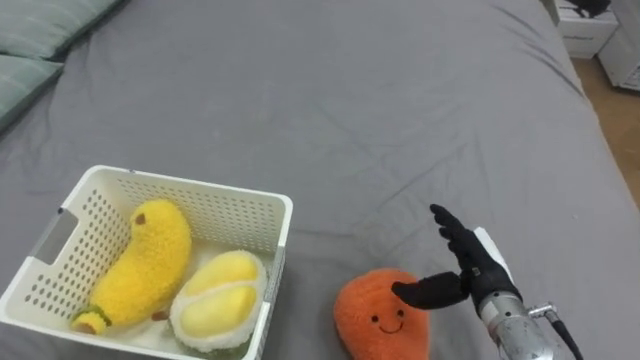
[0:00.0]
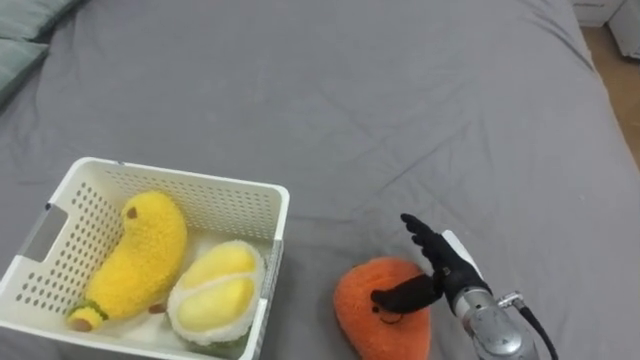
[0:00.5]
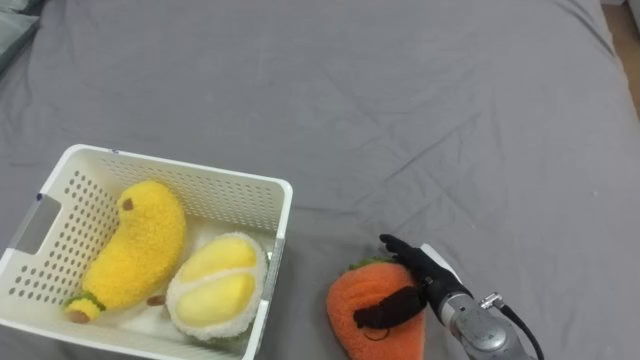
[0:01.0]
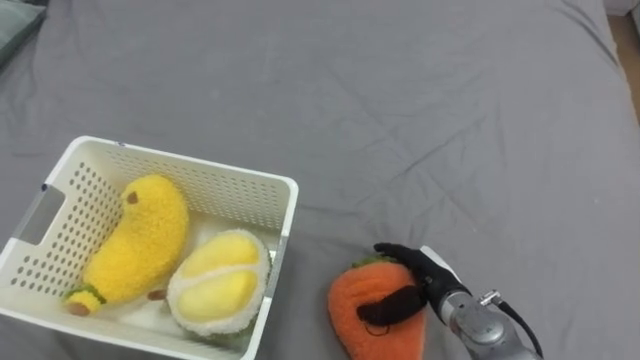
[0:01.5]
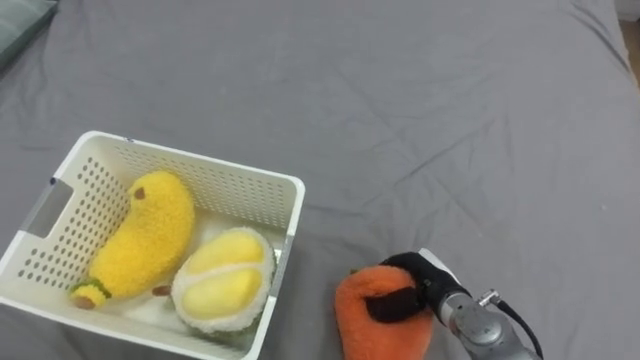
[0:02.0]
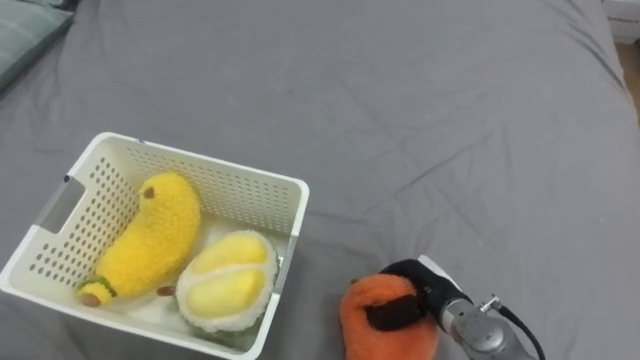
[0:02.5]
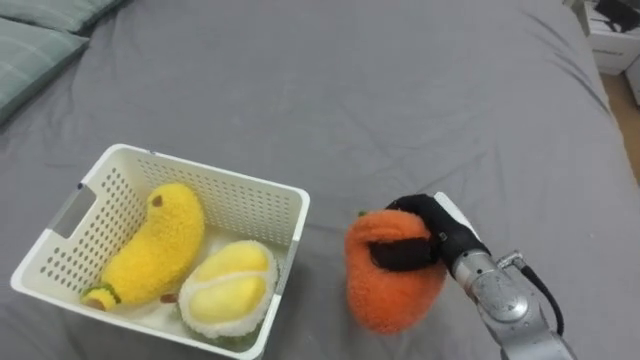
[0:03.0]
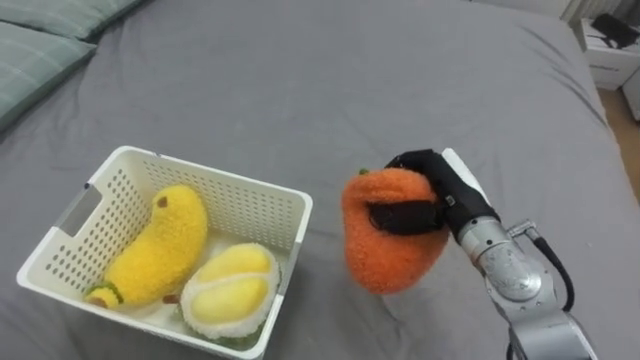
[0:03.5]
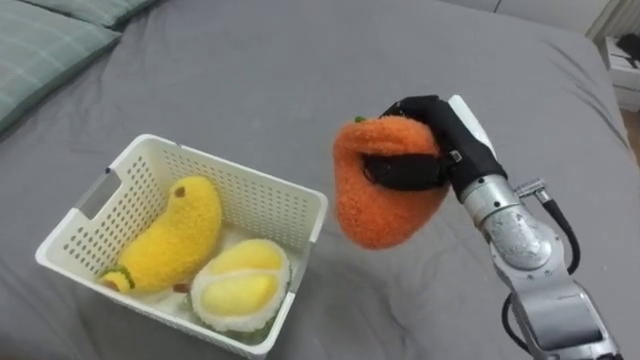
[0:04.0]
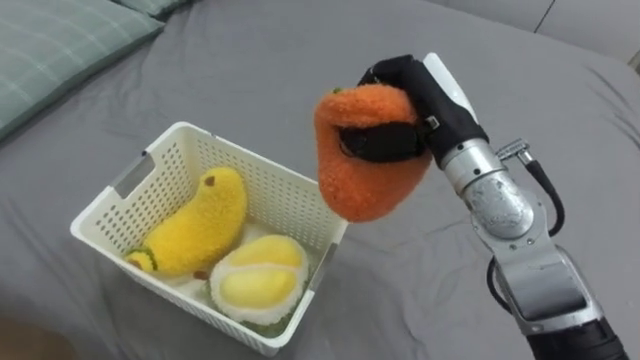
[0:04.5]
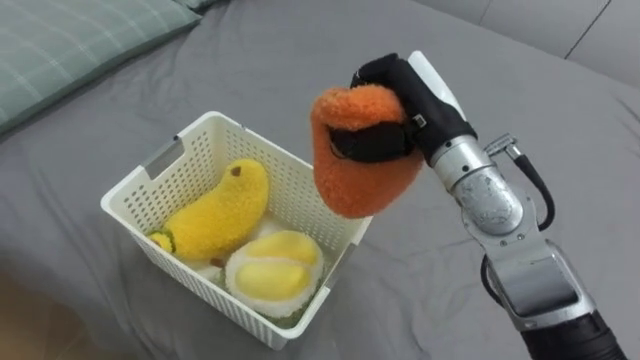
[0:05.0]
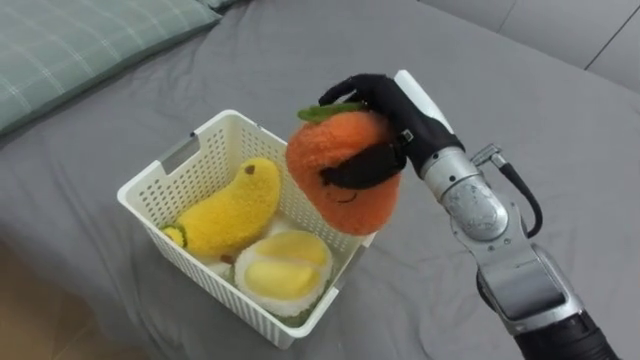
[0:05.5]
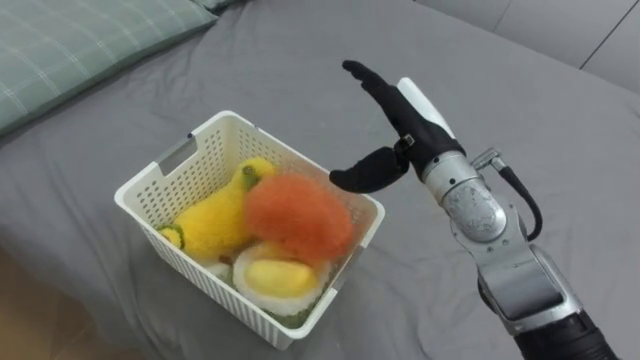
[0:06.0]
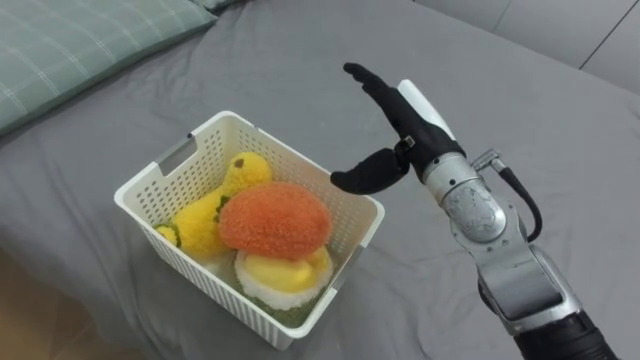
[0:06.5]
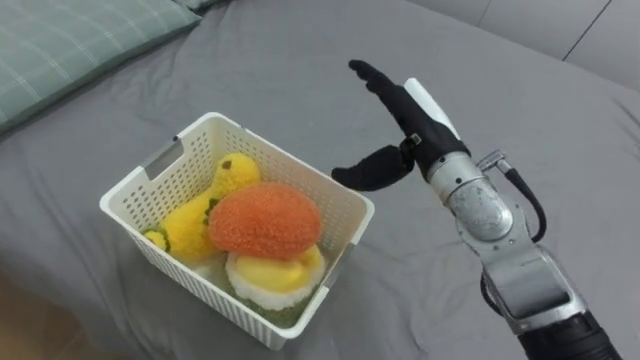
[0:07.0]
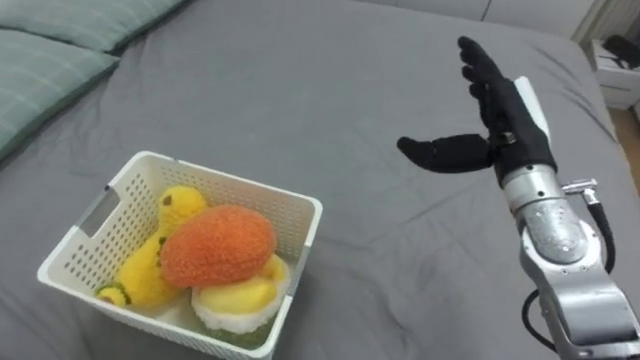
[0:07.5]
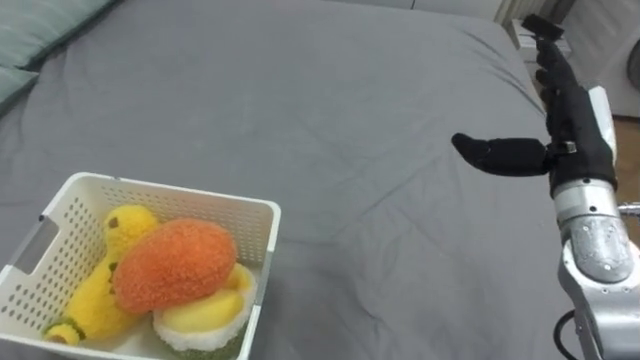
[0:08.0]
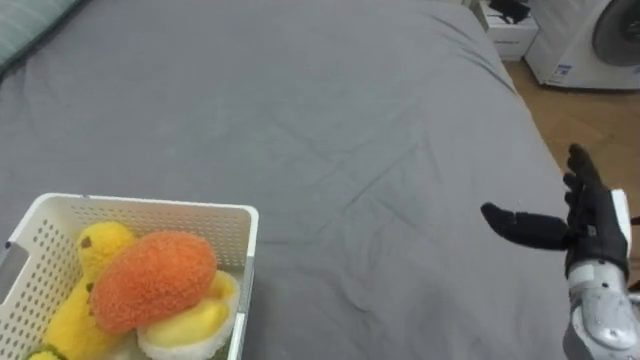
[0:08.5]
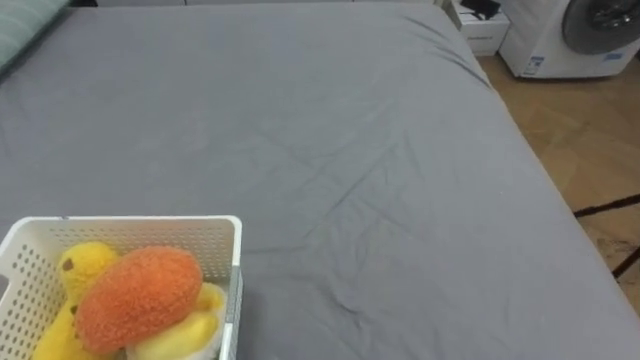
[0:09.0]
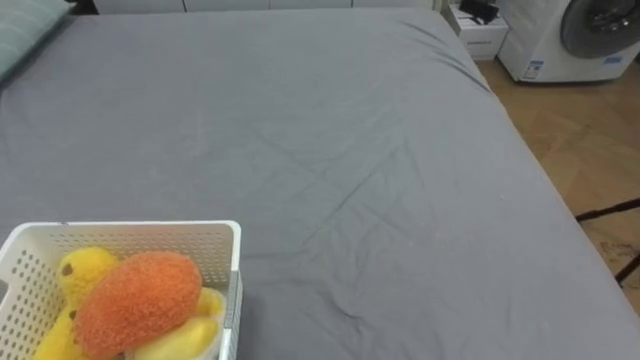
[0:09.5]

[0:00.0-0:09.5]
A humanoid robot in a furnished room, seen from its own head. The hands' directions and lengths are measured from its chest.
Task of the whole recording: Put the toys on the bed into the basket on the left.
0:00.0 to 0:02.0: The right hand goes roughly 10 cm downward and to the left, and closes.
0:02.0 to 0:04.0: The right hand is displaced upward by about 20 cm.
0:04.0 to 0:05.5: The right hand goes approximately 5 cm to the left.
0:05.5 to 0:07.5: The right hand is displaced to the right by roughly 10 cm, and opens its fingers.

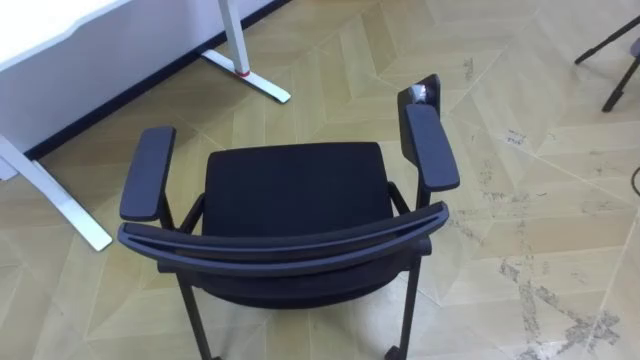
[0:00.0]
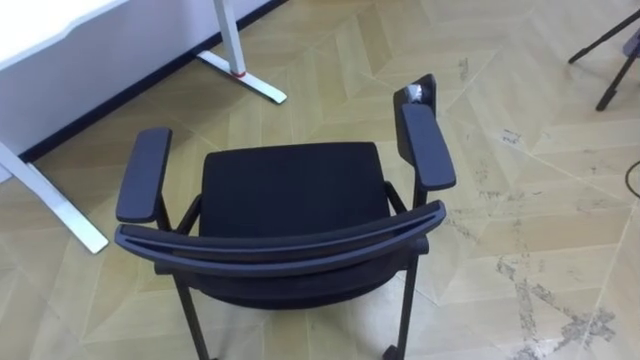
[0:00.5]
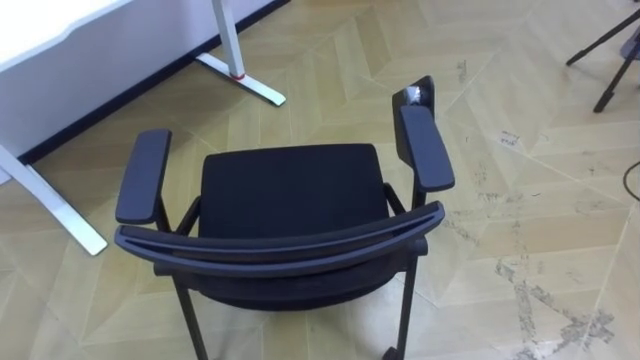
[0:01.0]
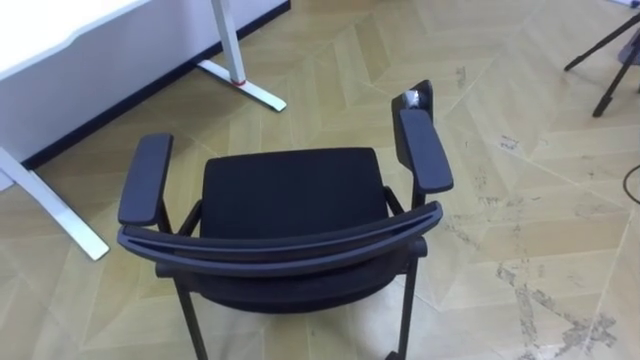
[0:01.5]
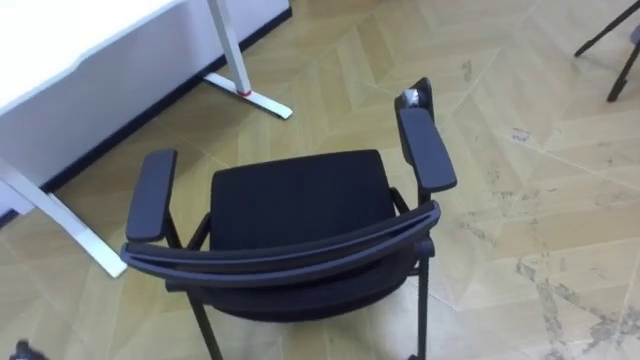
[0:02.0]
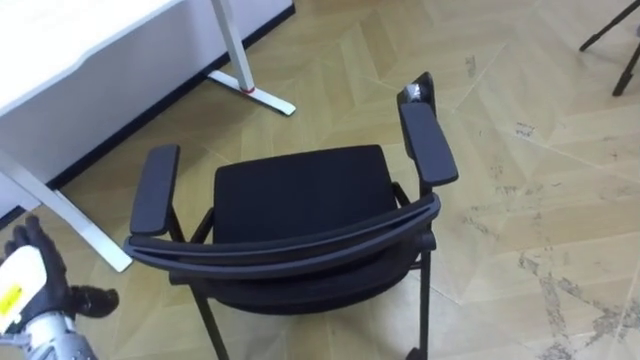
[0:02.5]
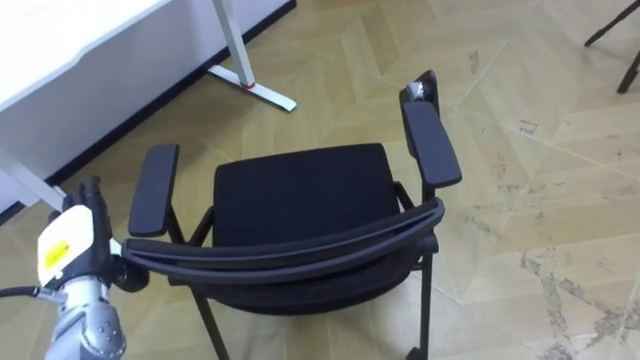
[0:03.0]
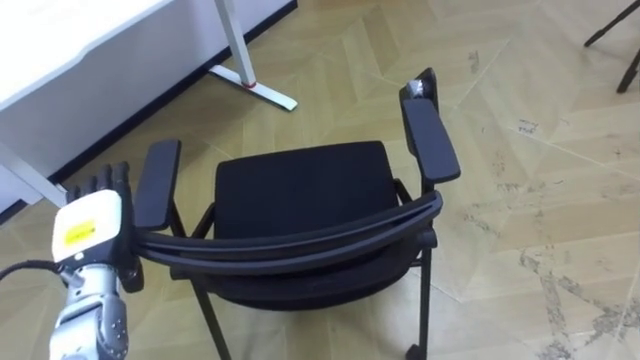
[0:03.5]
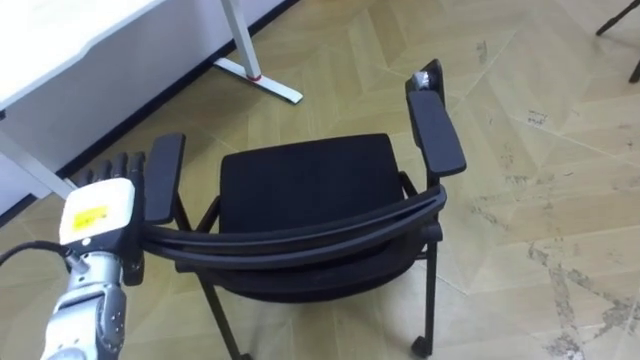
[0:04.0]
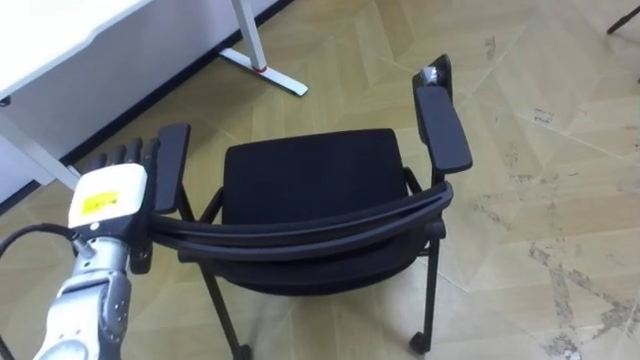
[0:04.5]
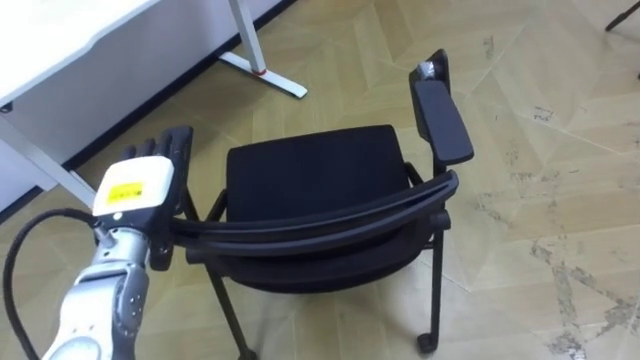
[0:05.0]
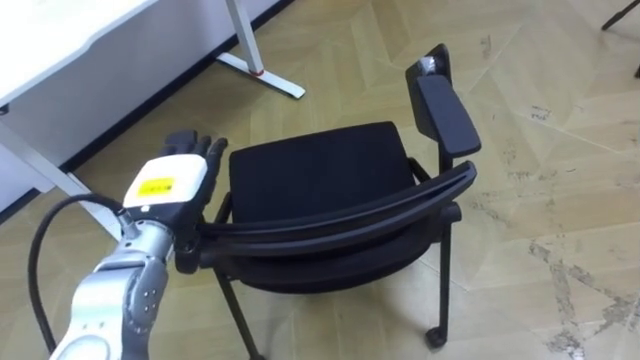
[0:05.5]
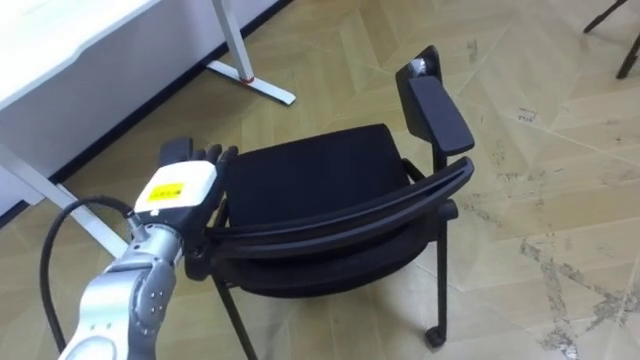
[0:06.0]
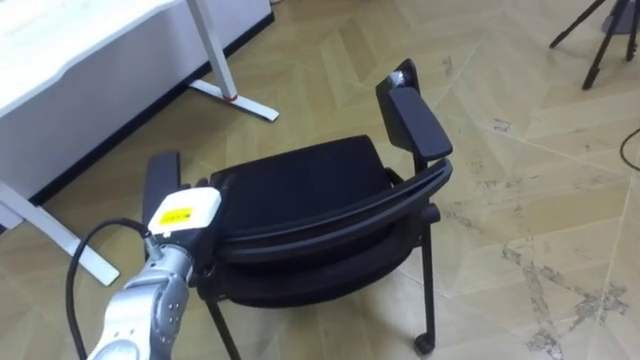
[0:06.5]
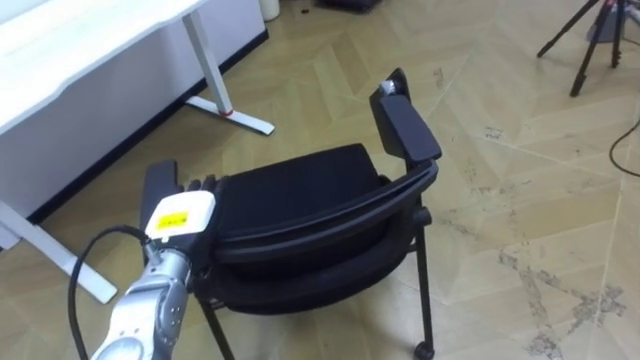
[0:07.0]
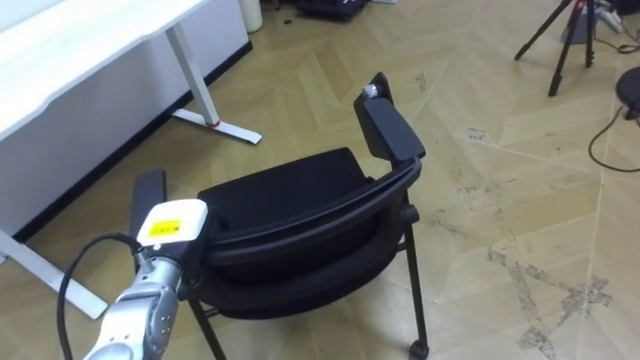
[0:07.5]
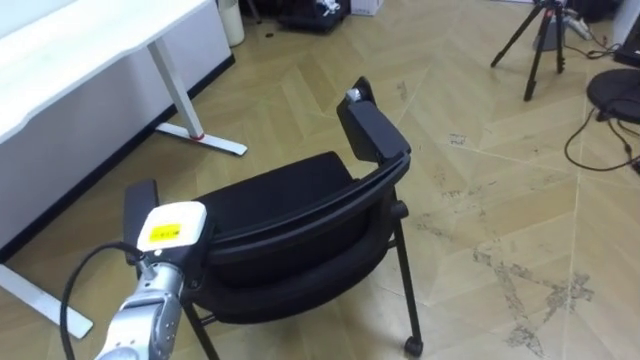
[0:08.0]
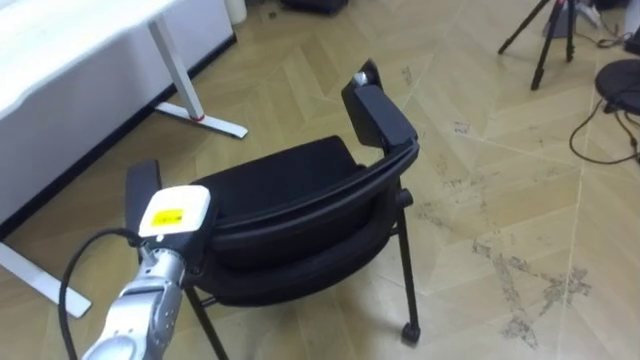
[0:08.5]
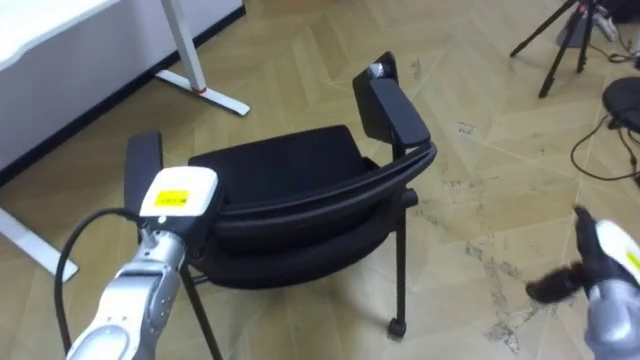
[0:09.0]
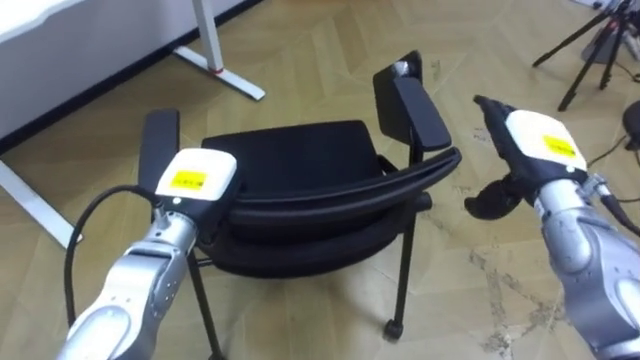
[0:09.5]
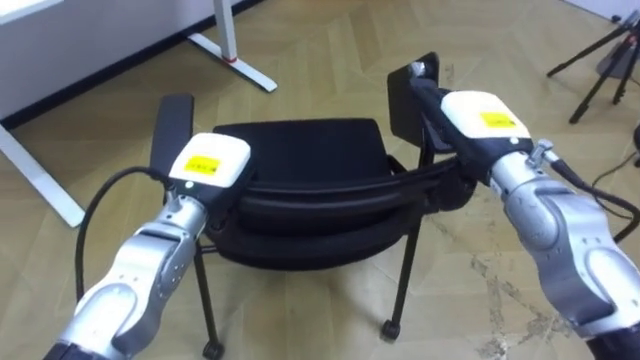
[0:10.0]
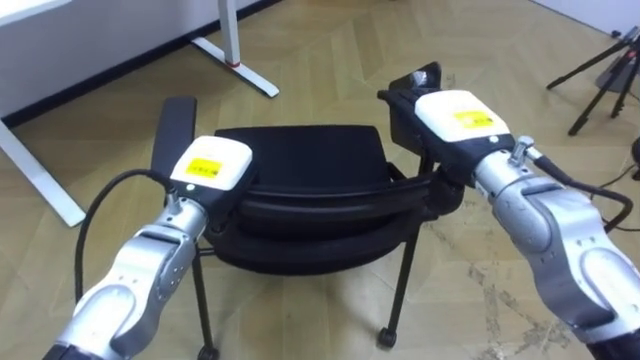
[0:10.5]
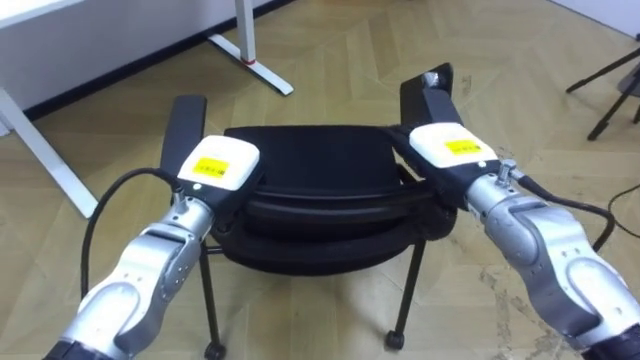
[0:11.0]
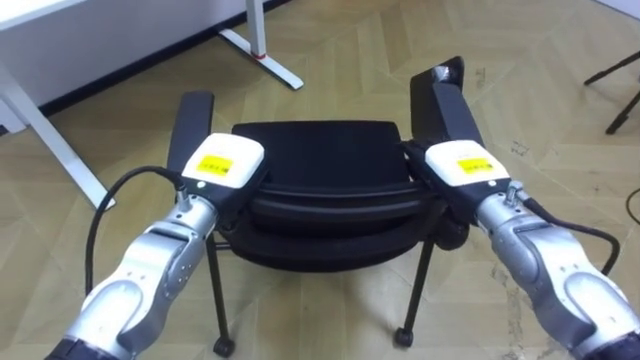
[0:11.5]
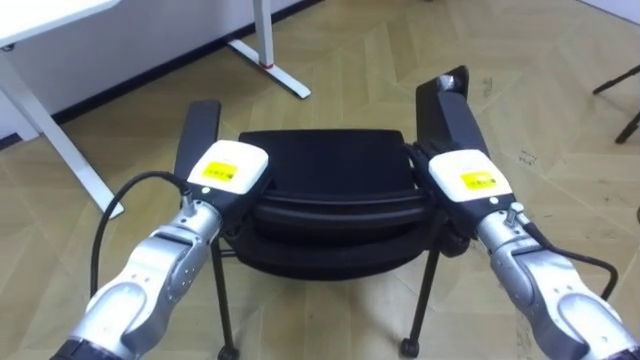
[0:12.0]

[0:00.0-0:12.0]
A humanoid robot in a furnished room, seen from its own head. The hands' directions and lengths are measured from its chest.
Task of the whole recording: Push the chair under the table.
0:04.0 to 0:06.0: The left hand is displaced to the right by some 10 cm.
0:06.0 to 0:08.0: The left hand travels downward by approximately 10 cm, and closes.
0:08.0 to 0:10.0: The left hand moves upward, to the right and forward, some 10 cm.
0:10.0 to 0:12.0: The right hand shifts some 10 cm downward.
